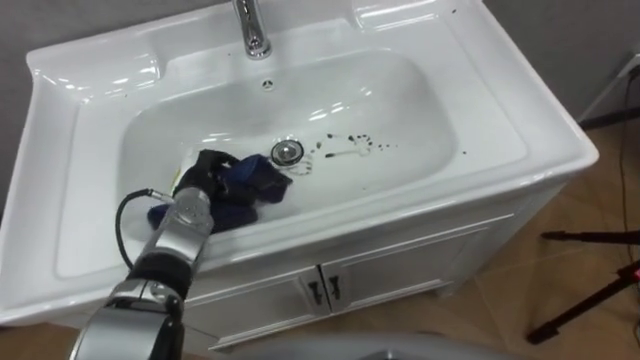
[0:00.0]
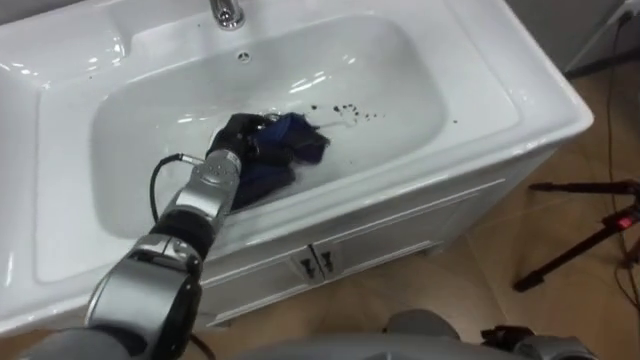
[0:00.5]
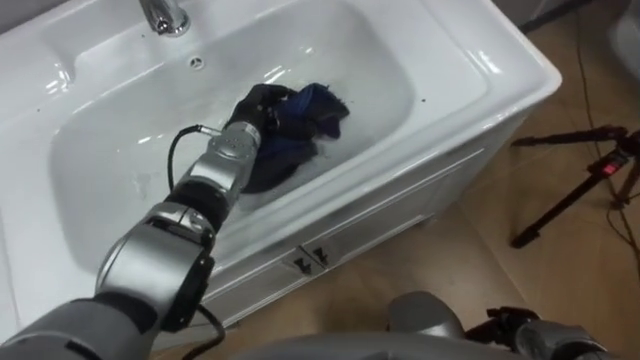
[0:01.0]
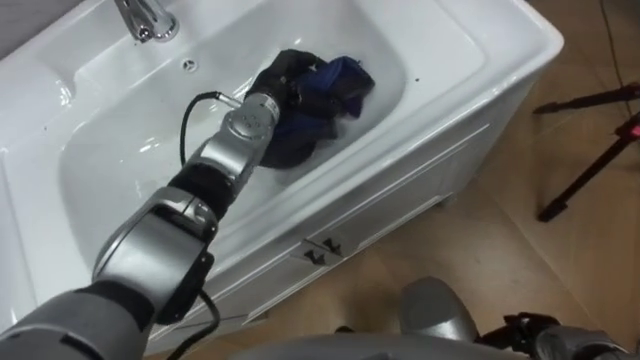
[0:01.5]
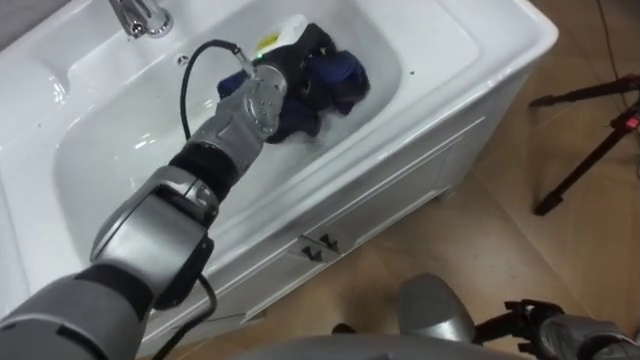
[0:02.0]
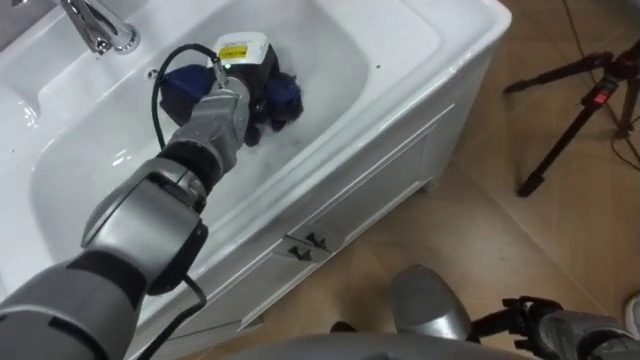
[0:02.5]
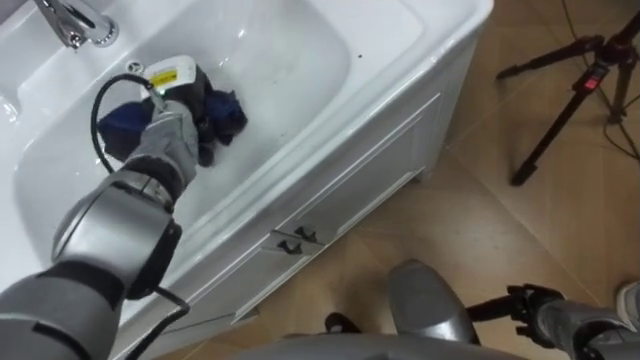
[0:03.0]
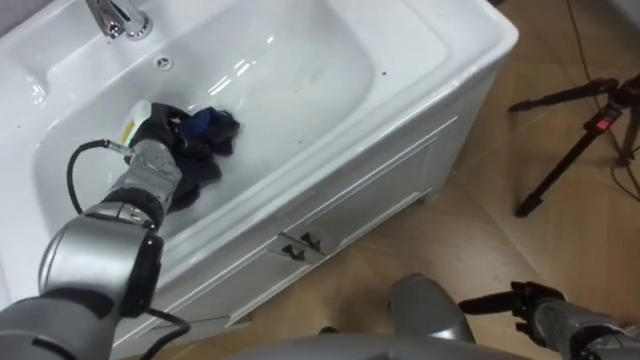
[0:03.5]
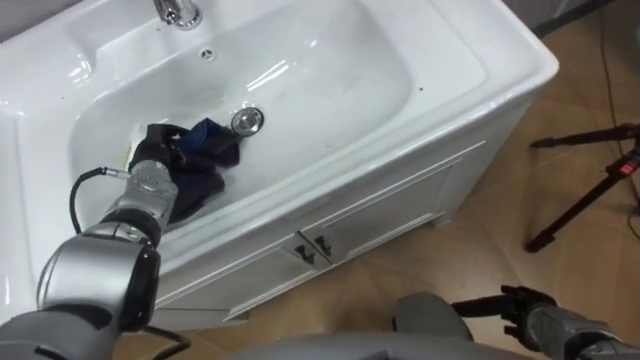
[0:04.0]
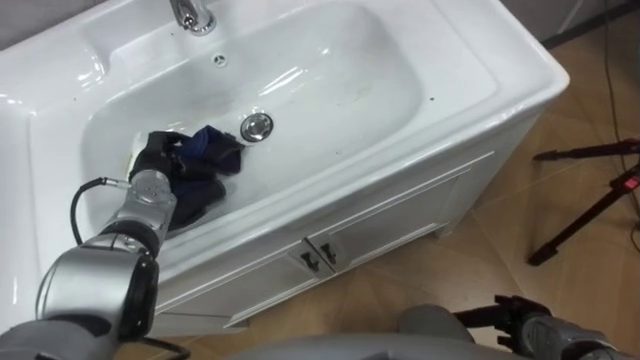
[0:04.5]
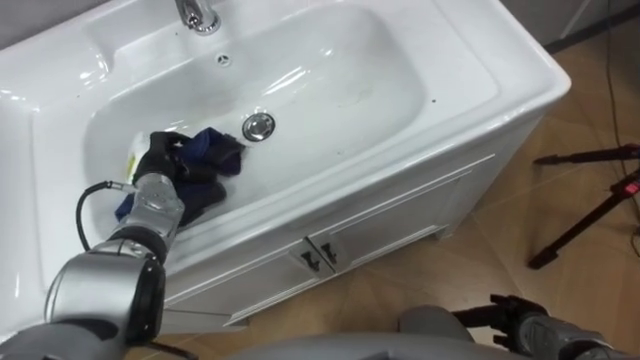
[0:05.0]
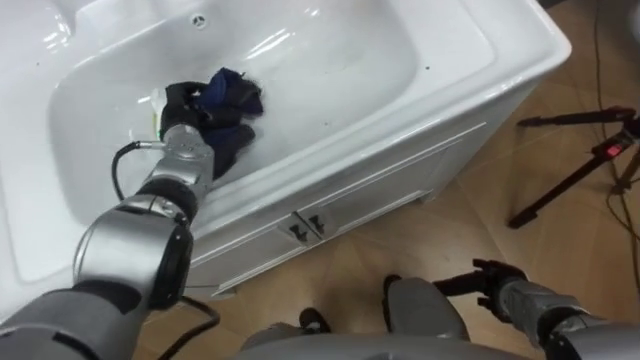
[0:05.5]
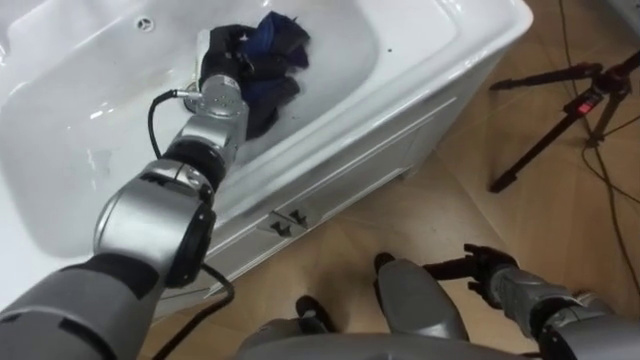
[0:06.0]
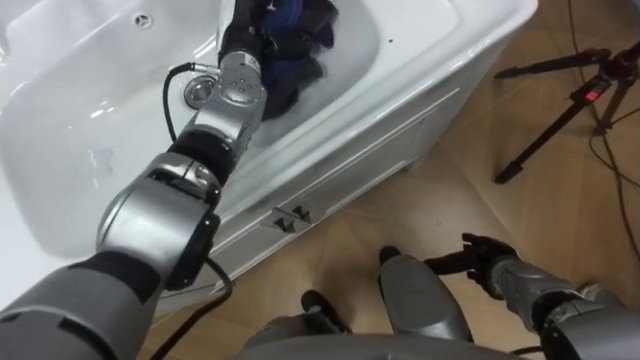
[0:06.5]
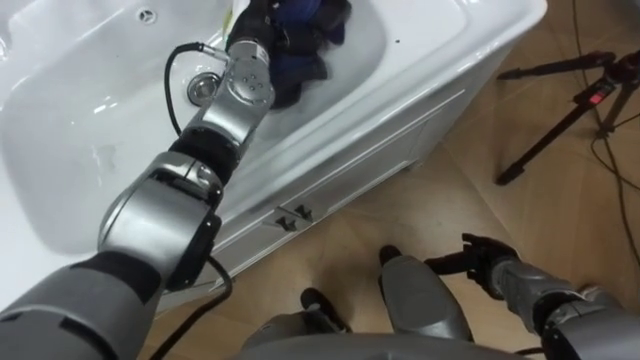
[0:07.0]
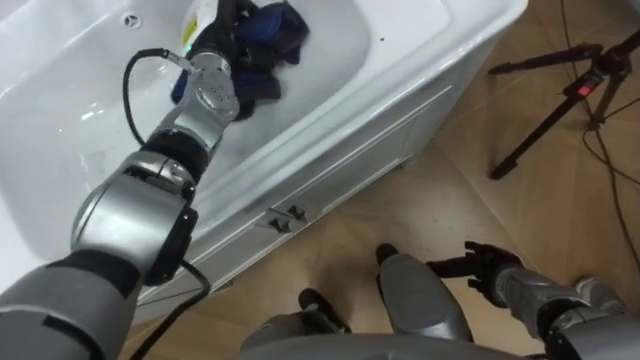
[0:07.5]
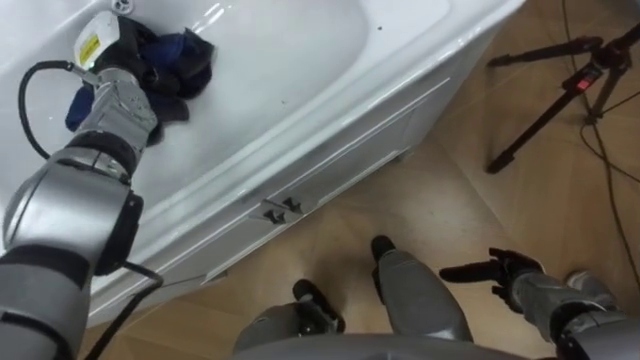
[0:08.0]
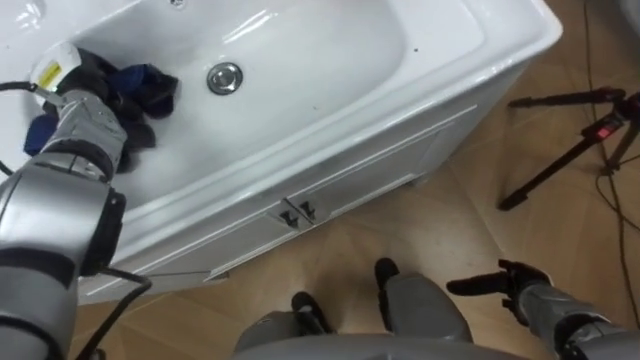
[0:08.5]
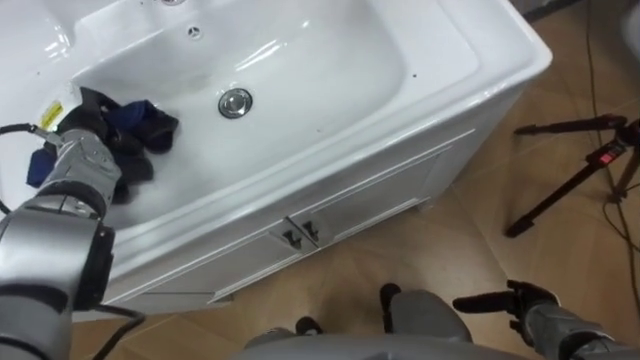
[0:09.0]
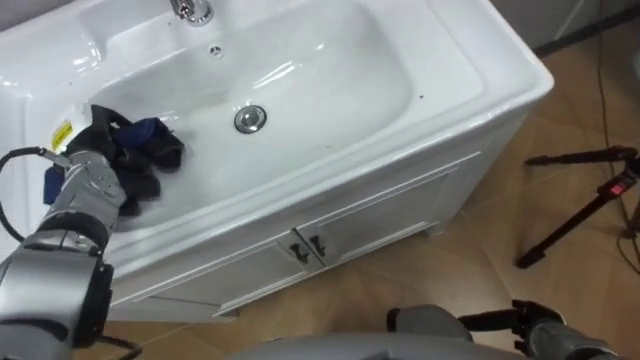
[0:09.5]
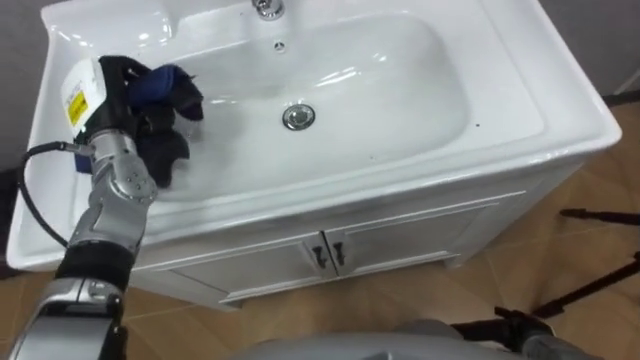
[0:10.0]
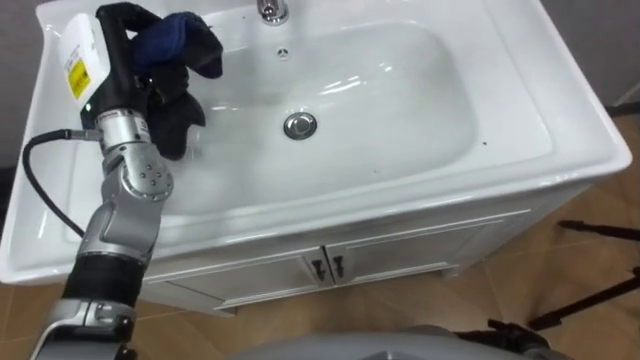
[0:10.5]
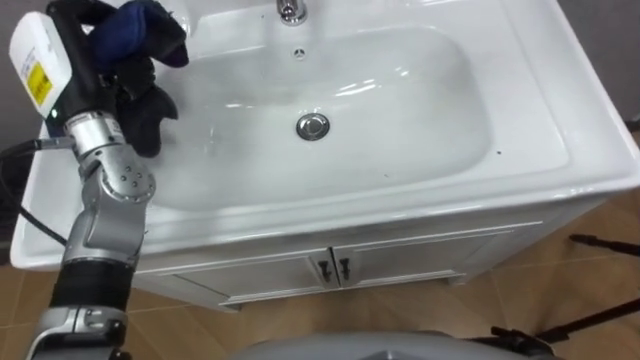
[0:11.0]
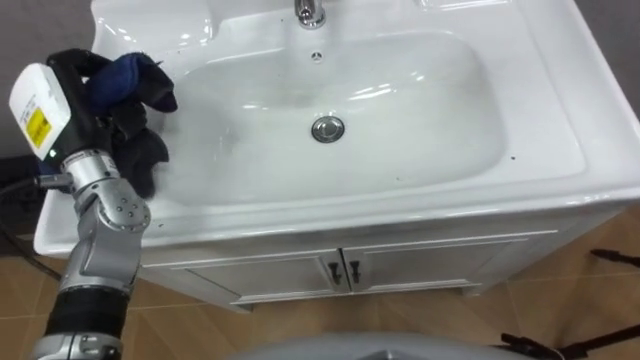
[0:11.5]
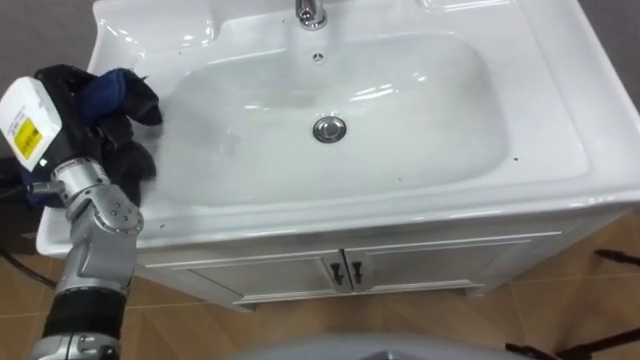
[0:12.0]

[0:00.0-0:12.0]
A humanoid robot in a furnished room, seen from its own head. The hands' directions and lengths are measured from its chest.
Task of the whole recording: Use the cloth on the right to wipe away the black stain in the sink.
0:00.0 to 0:02.0: The left hand heads upward, to the right and forward, covering about 25 cm.
0:02.0 to 0:04.0: The left hand goes approximately 25 cm to the left, downward and backward.
0:04.0 to 0:06.0: The right hand travels forward by some 5 cm, while the left hand travels to the right, forward and upward by approximately 20 cm.
0:06.0 to 0:08.0: The left hand is displaced to the left by approximately 15 cm.
0:08.0 to 0:10.0: Both hands move backward, roughly 10 cm.
0:10.0 to 0:12.0: The left hand goes approximately 5 cm backward.

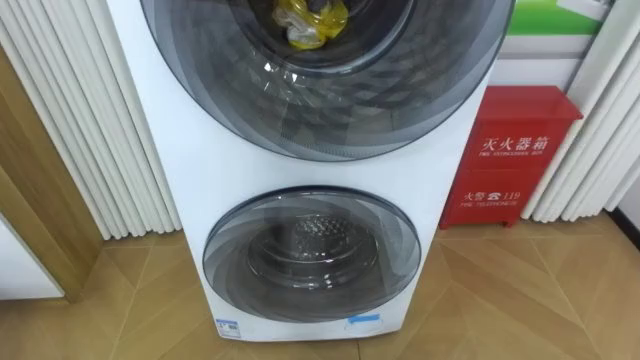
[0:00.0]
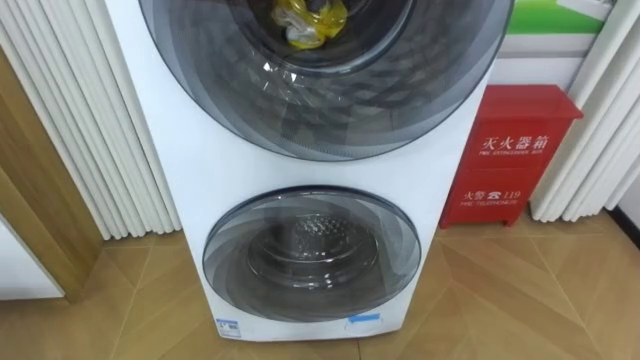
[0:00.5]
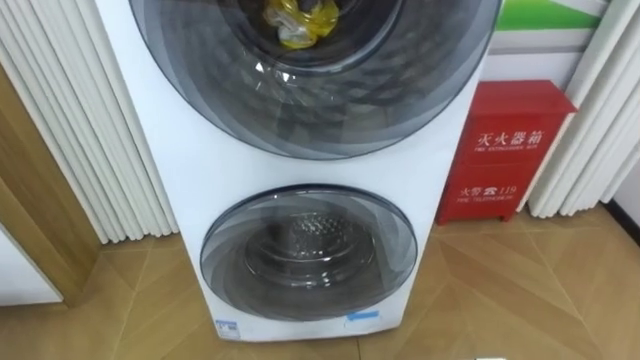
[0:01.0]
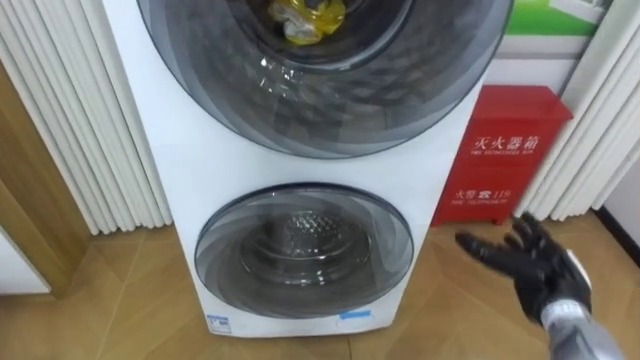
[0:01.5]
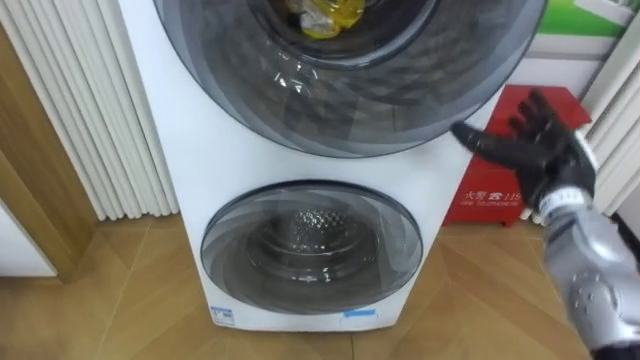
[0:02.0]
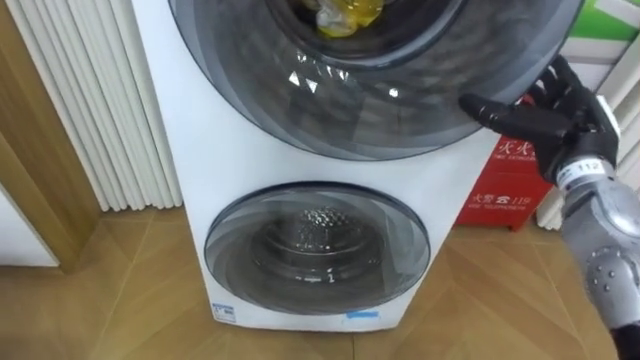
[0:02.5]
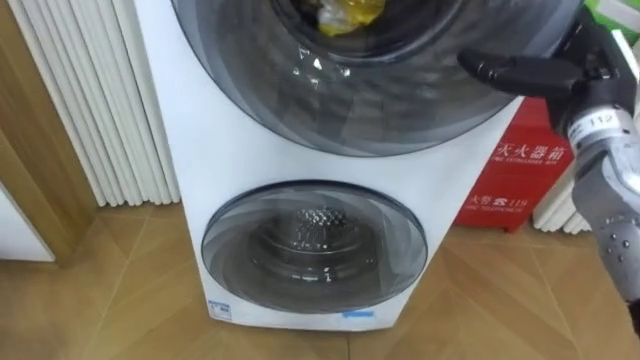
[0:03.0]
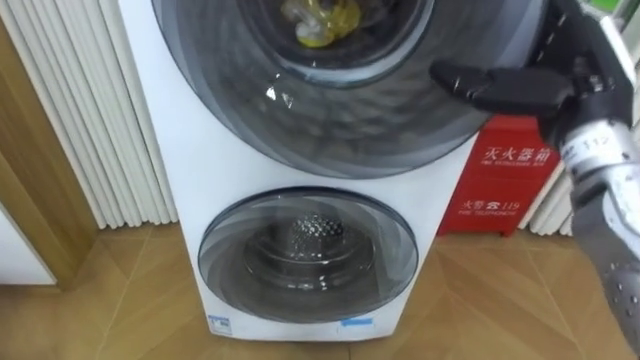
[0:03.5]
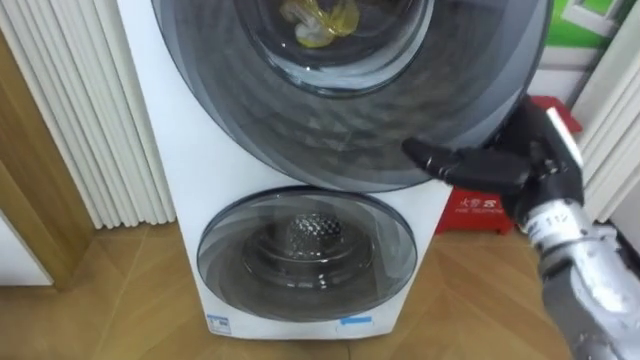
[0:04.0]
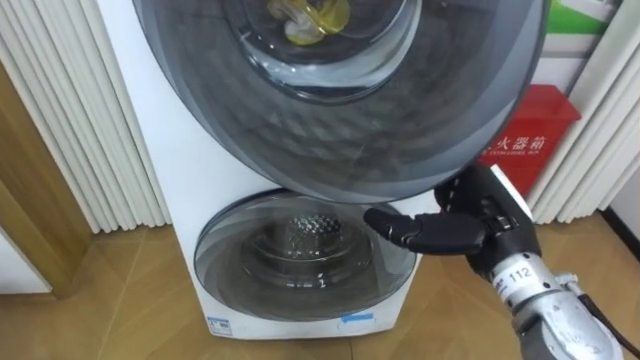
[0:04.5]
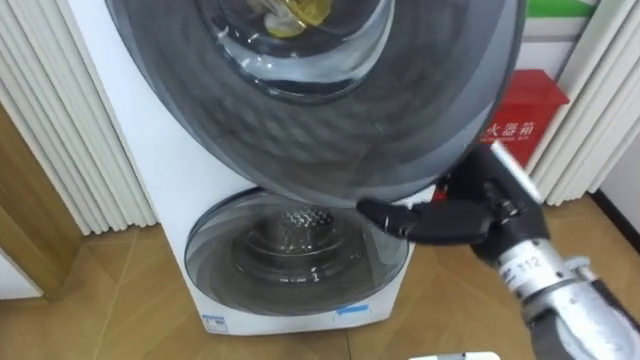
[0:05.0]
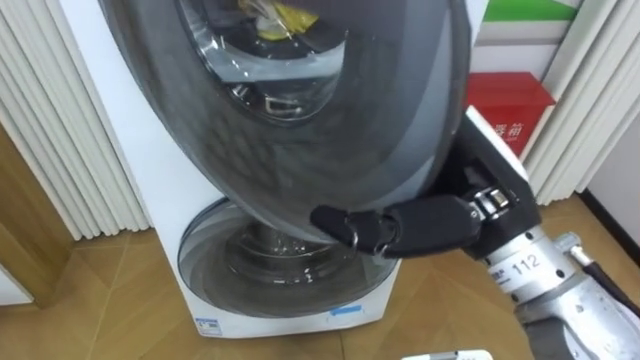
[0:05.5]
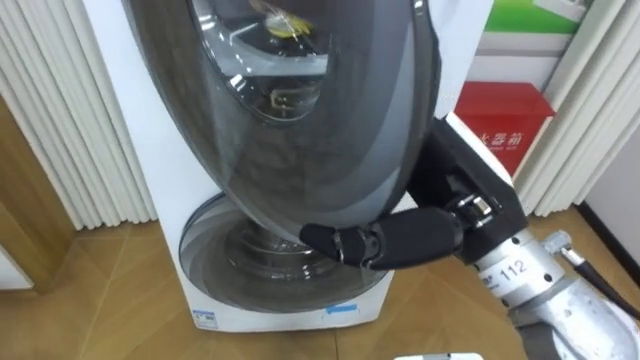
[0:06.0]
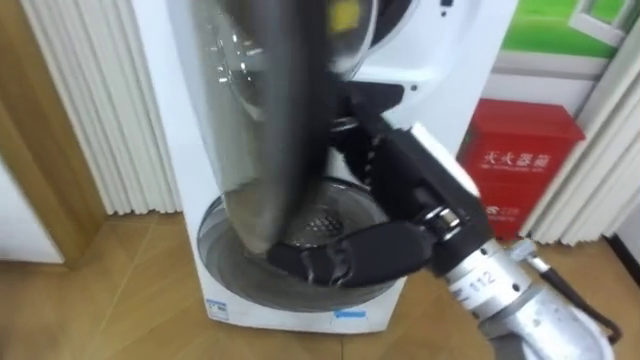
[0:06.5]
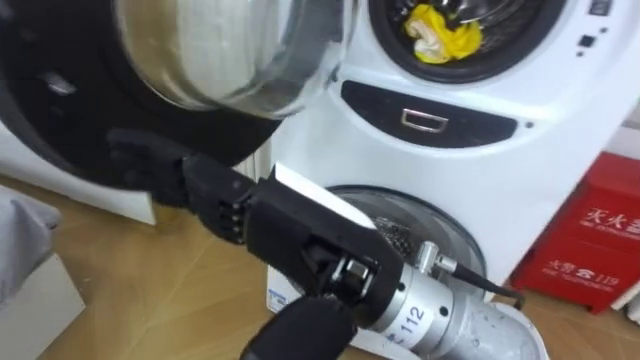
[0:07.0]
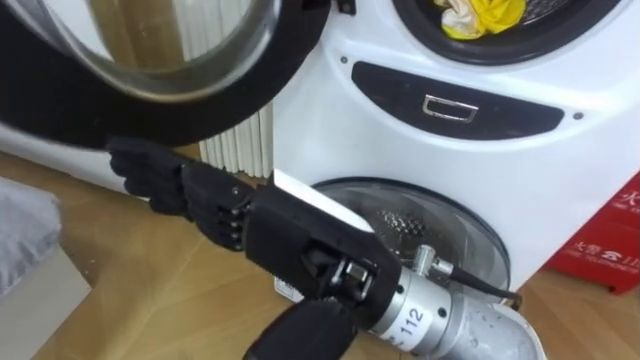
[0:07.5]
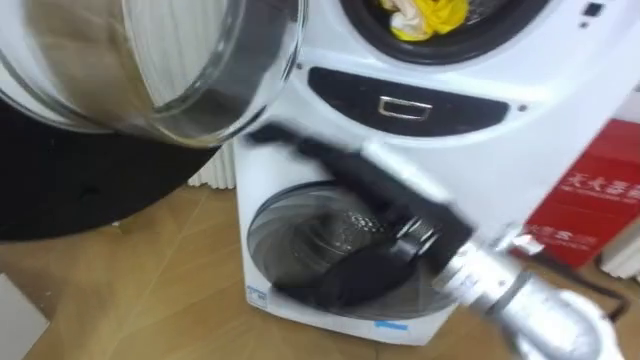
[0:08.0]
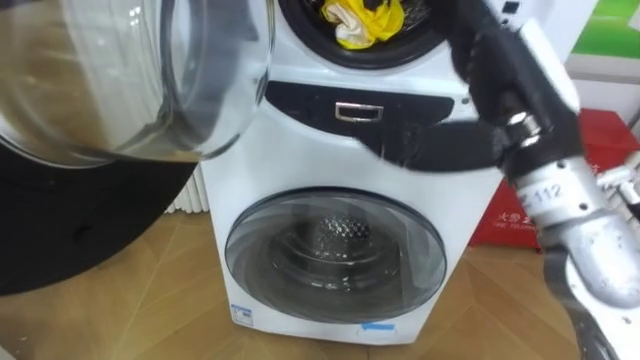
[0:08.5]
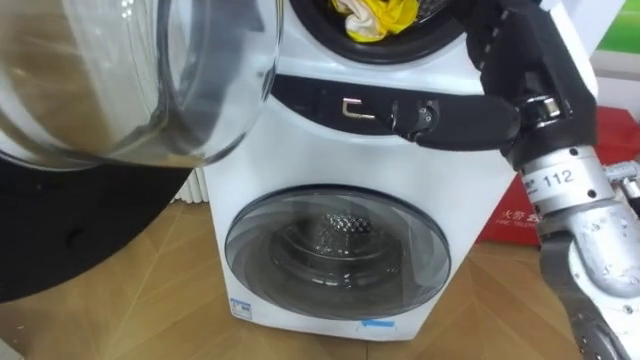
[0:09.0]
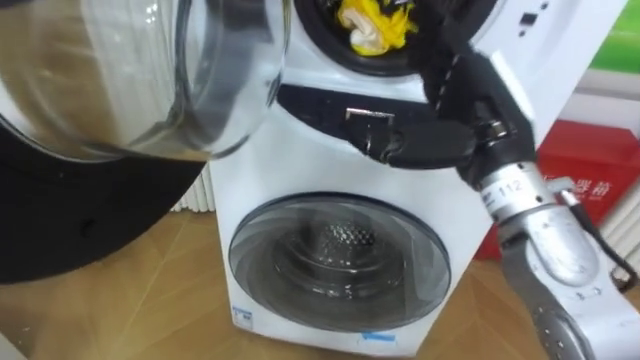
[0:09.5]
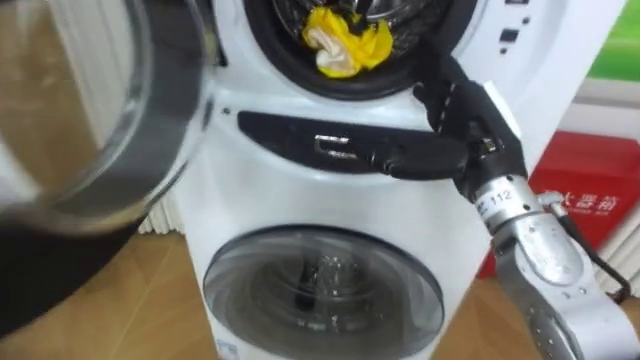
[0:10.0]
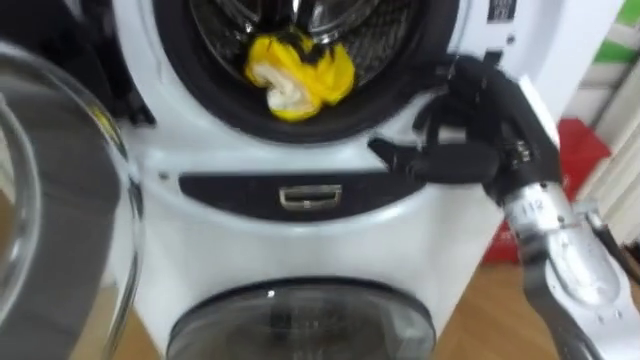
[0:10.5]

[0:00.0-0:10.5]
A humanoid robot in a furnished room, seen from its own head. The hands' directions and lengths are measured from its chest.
Task of the whole recording: Open the washing machine door, take out the yellow clothes, place them in the box on the right, and close the washing machine door.
0:02.0 to 0:04.0: The right hand goes about 10 cm to the left, upward and backward.
0:04.0 to 0:06.5: The right hand heads to the left and backward, covering roughly 15 cm.
0:06.5 to 0:08.5: The right hand heads to the right and upward, covering about 10 cm.
0:08.5 to 0:10.5: The right hand is displaced downward by about 5 cm.
